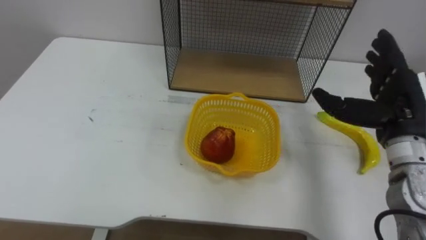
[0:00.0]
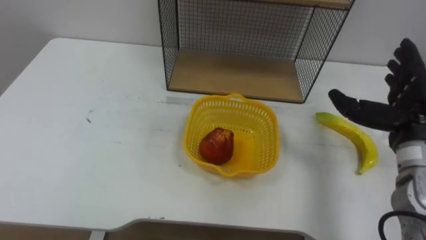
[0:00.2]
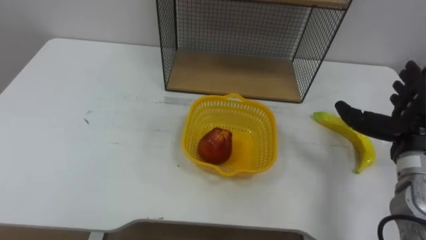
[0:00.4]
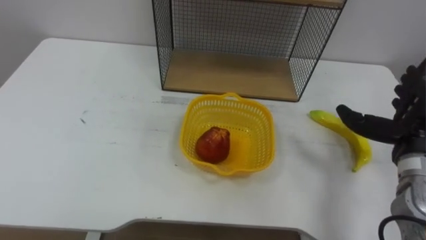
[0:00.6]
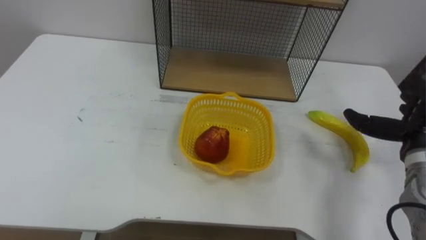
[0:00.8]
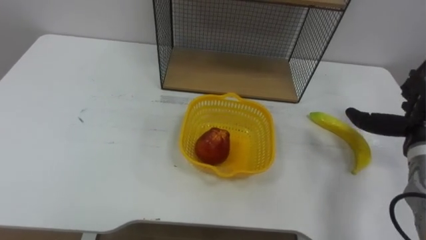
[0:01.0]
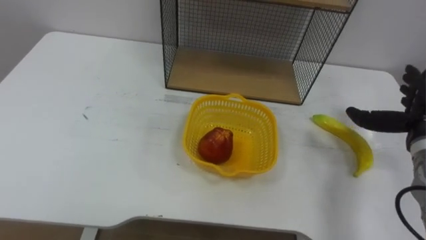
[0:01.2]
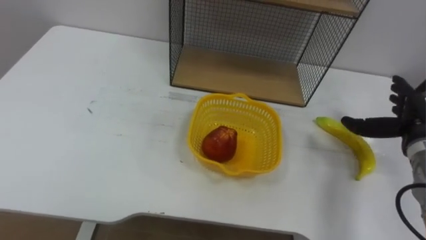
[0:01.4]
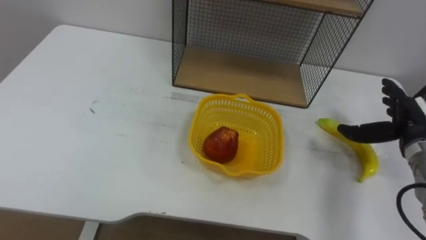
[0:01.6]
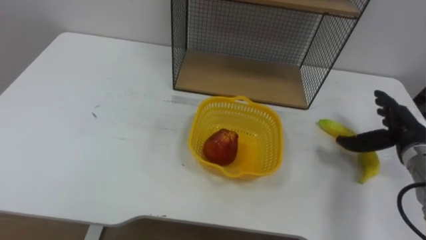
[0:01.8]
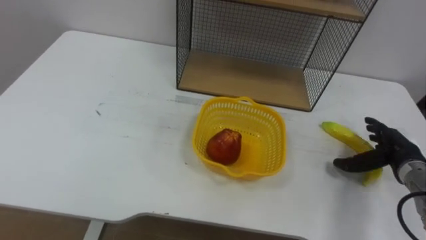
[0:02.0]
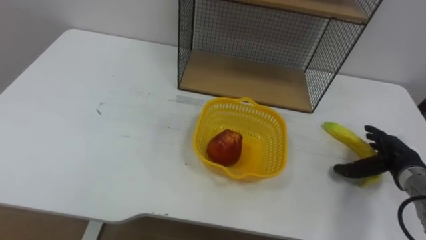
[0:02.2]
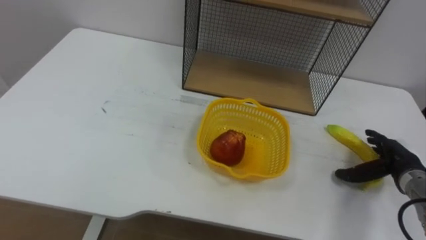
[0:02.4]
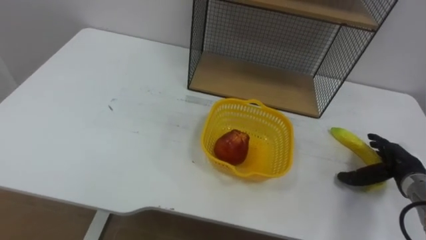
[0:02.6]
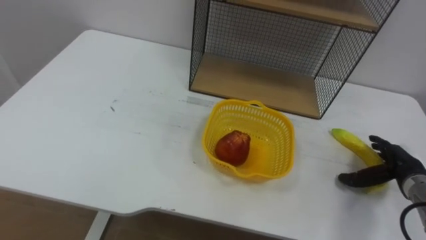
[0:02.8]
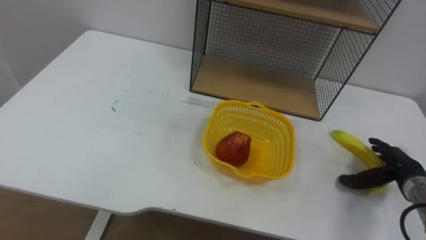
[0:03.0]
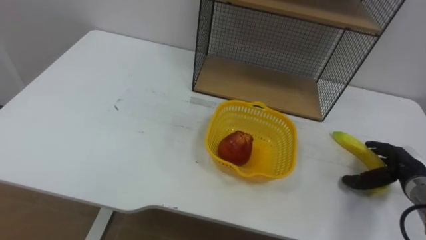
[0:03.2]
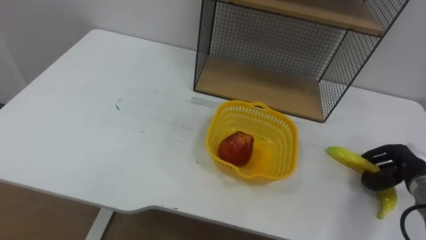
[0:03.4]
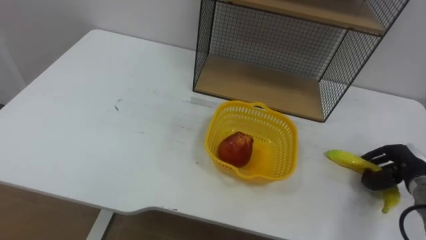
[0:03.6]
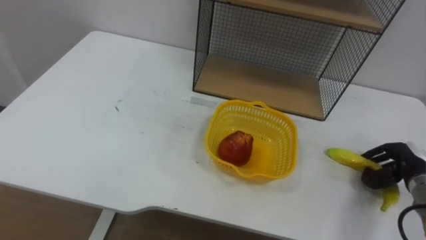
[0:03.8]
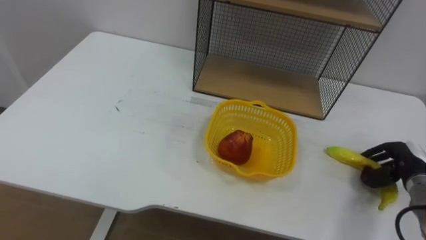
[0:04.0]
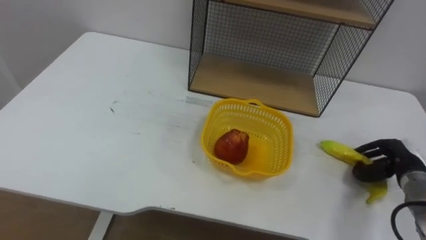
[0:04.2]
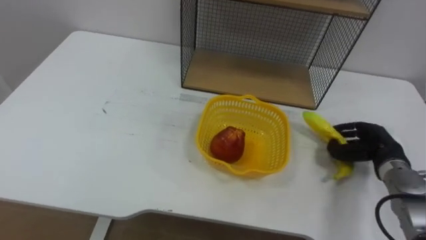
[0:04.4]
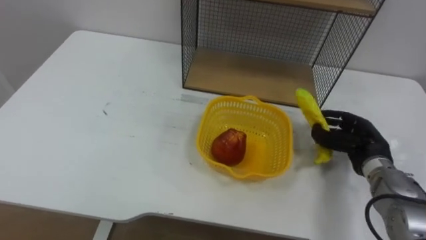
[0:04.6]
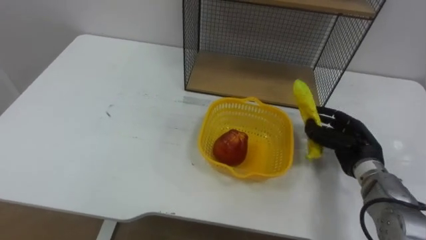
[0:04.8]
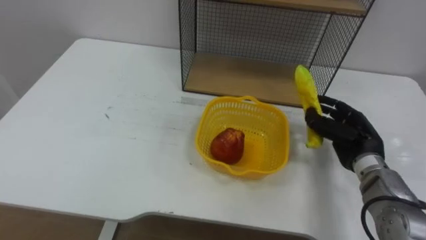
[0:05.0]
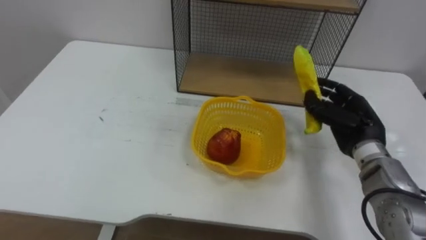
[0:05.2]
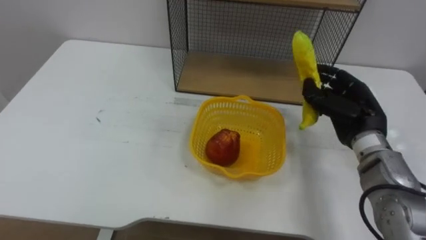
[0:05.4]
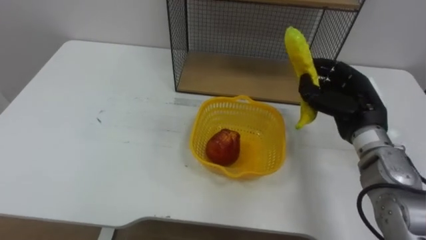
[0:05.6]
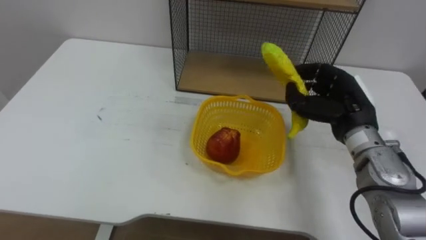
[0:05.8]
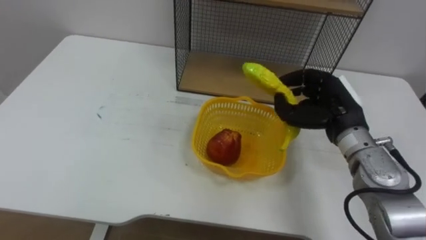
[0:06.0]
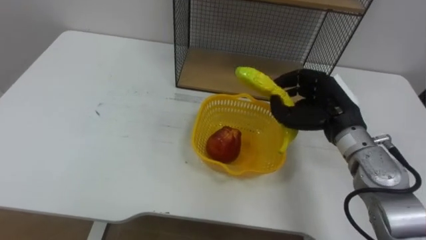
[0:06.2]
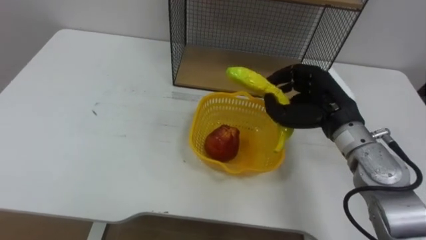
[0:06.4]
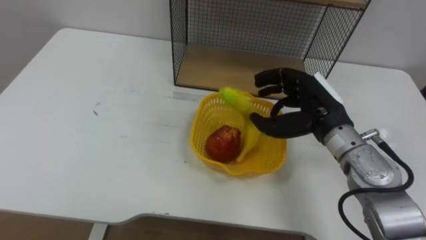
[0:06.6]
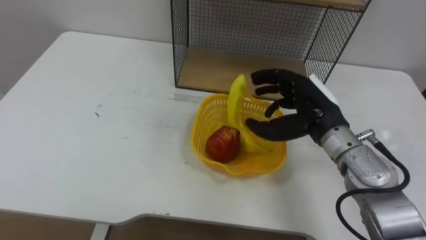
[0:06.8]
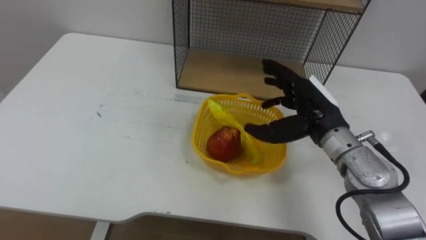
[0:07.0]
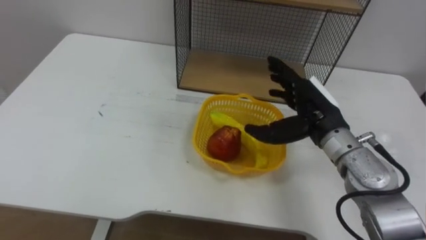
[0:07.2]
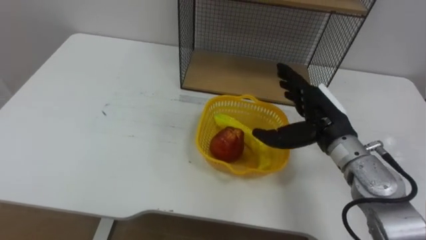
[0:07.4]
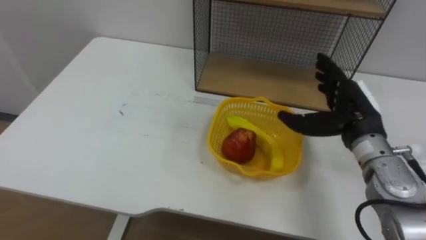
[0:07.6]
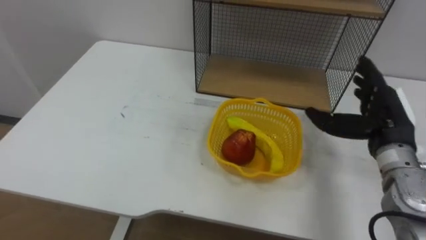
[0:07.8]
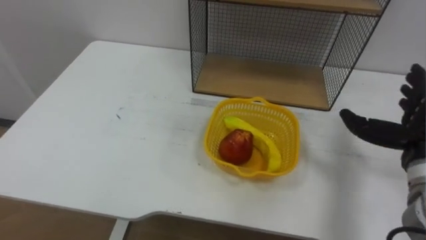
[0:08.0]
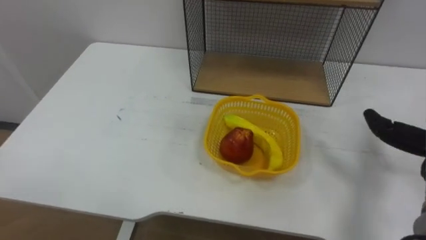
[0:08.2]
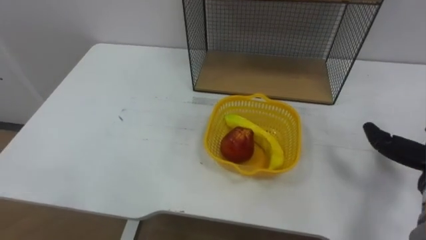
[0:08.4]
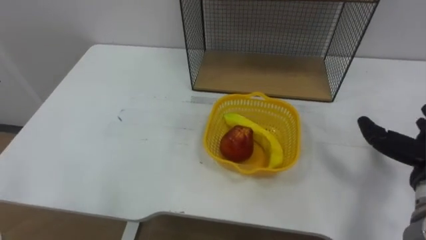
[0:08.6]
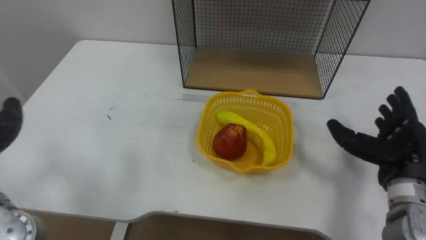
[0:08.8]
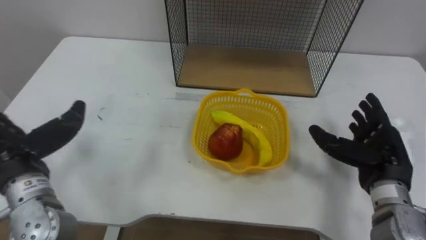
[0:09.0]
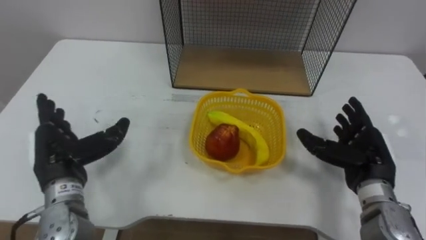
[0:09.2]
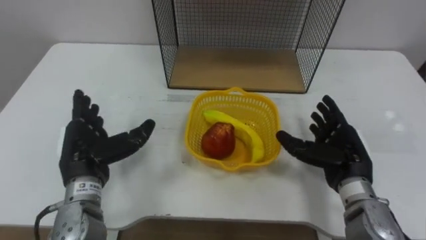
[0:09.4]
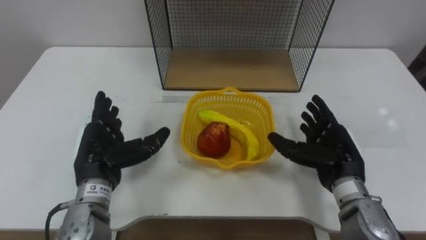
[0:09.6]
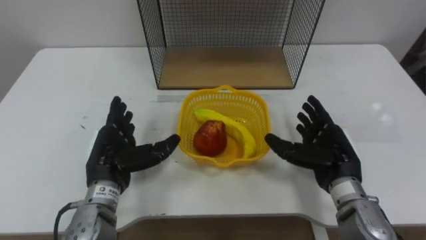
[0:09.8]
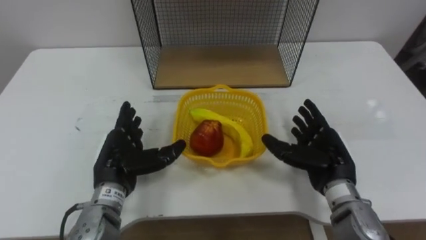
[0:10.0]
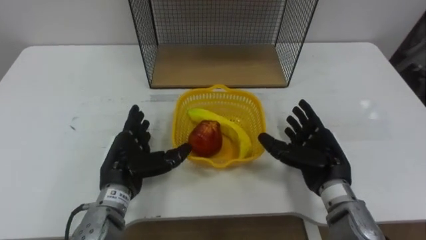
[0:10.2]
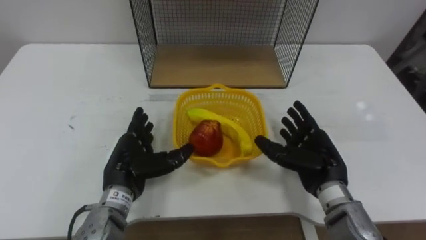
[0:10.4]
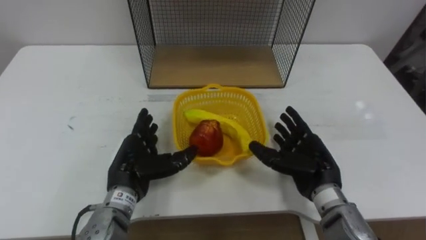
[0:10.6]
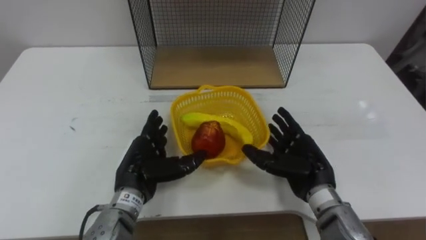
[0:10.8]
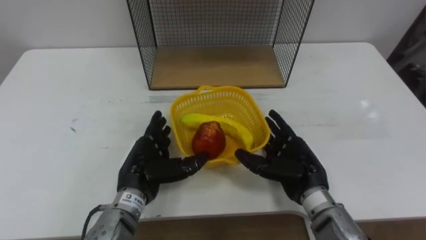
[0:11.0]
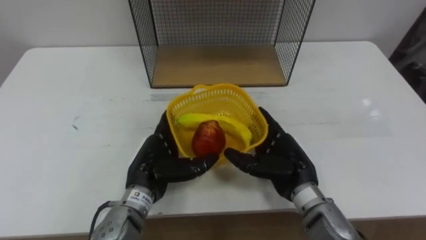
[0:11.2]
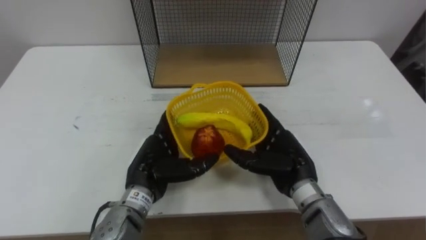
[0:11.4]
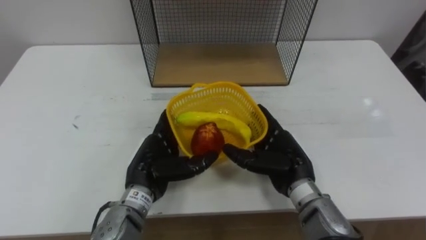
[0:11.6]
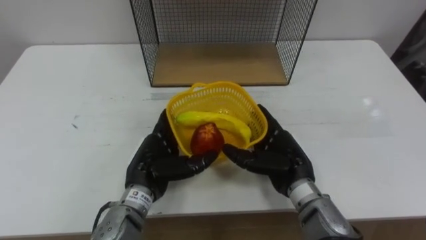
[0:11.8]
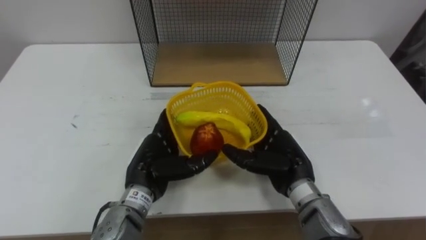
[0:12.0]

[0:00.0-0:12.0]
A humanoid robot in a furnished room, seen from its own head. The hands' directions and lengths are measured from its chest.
Task of the whole recording: Put the fruit on the table into the basket, then place the basket on the shelf.
0:00.0 to 0:01.6: The right hand moves downward and to the right, approximately 10 cm.
0:01.6 to 0:03.0: The right hand shifts approximately 10 cm downward.
0:03.0 to 0:04.4: The right hand shifts by about 5 cm, and closes up.
0:04.4 to 0:06.0: The right hand goes about 15 cm to the left and upward.
0:06.0 to 0:07.6: The right hand opens its fingers.
0:09.0 to 0:10.4: The right hand moves to the left, approximately 10 cm. The left hand moves to the right and downward, approximately 15 cm.
0:10.4 to 0:12.0: The right hand shifts roughly 5 cm to the left.

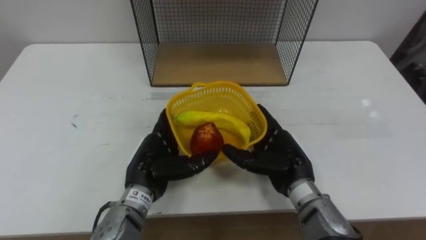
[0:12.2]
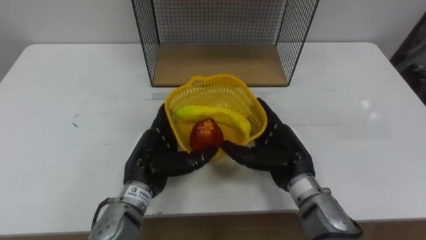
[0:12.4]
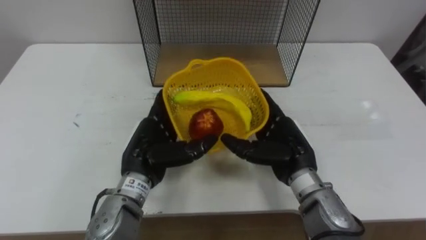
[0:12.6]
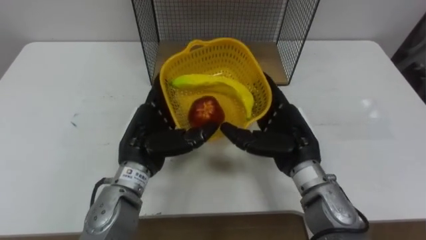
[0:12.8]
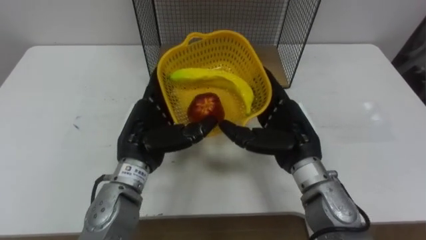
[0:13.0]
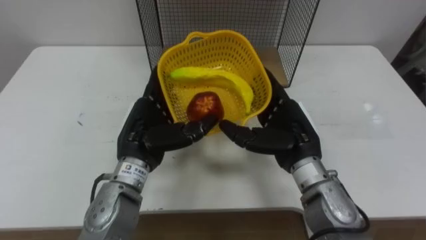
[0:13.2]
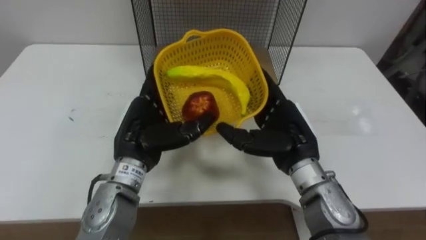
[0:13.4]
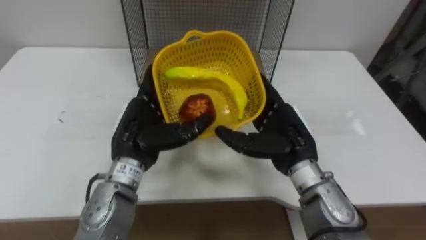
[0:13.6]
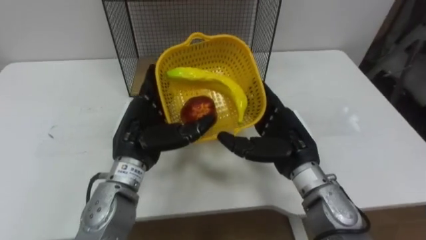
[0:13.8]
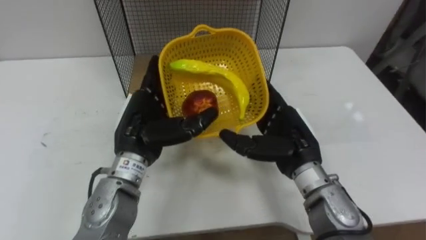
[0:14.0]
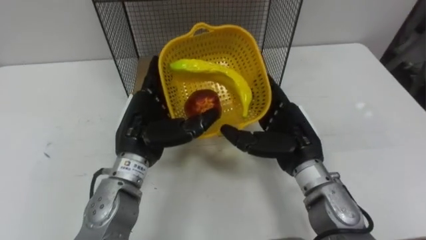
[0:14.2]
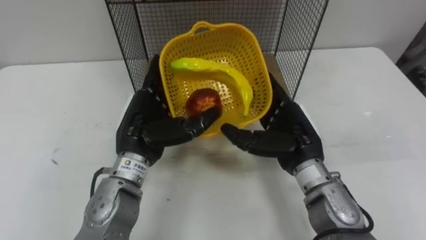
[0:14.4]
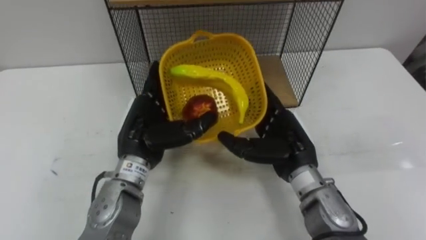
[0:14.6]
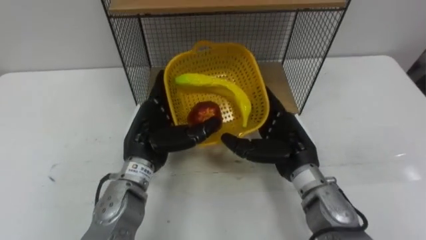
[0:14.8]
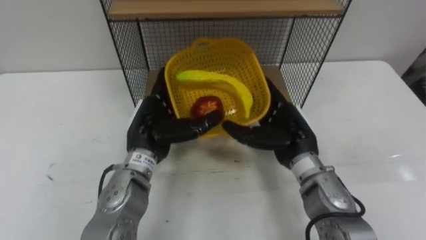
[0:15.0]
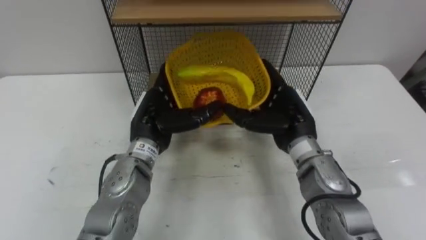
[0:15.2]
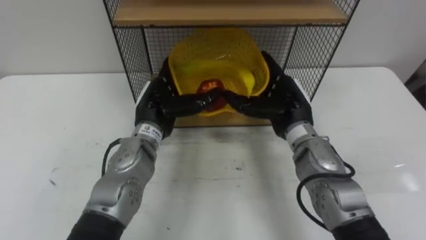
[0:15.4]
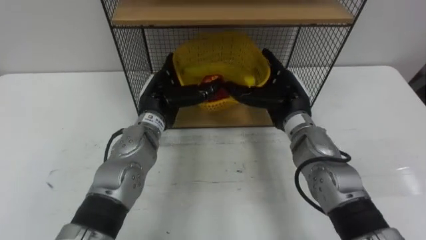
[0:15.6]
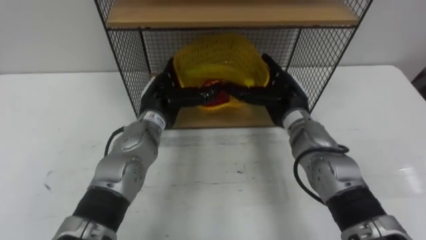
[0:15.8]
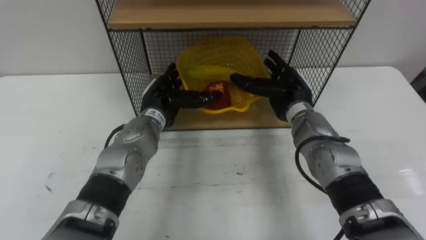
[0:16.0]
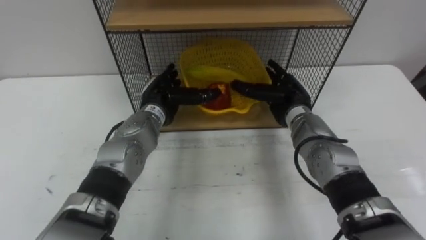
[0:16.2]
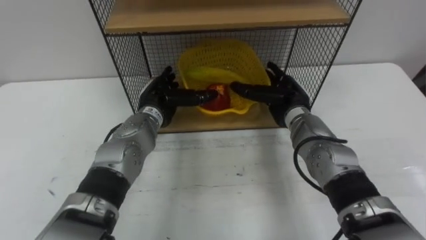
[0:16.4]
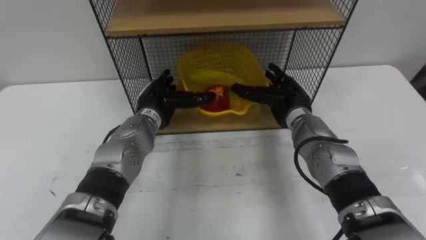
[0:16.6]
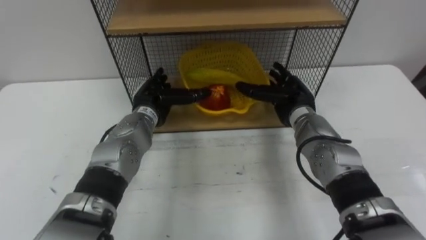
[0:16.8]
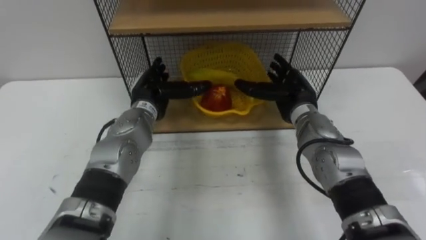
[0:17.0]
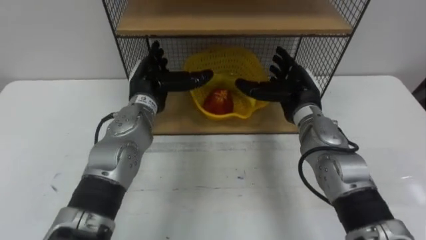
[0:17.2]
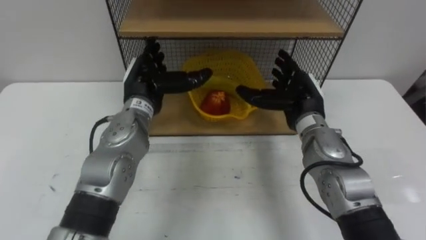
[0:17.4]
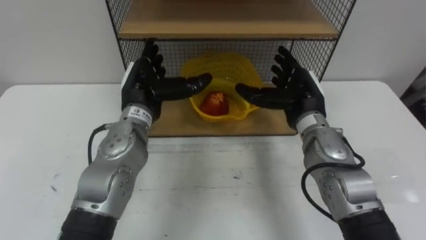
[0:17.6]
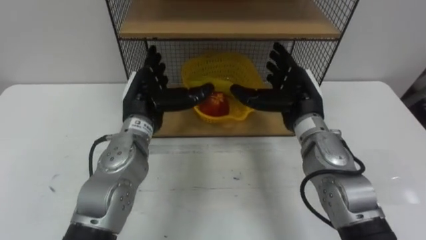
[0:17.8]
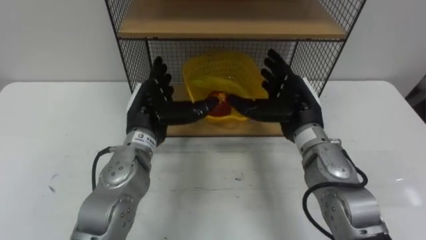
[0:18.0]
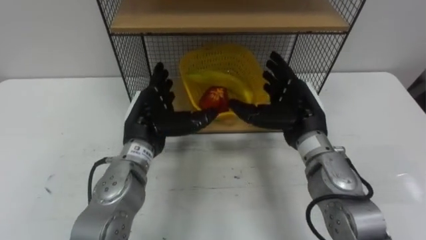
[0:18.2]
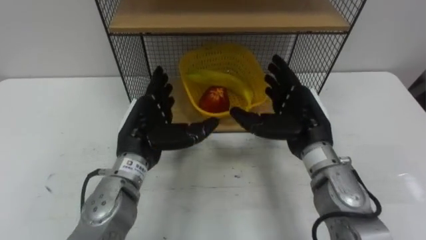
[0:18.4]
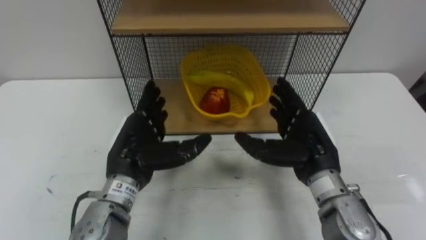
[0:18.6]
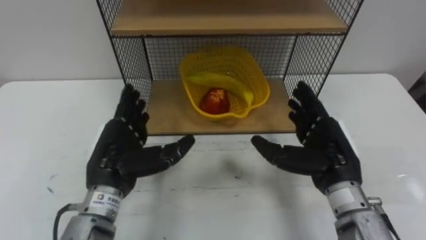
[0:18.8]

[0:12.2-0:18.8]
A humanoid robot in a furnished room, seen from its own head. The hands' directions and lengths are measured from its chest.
Task of the whole recording: Put the fruit on the table into the basket, then place the basket on the shelf.
0:12.2 to 0:13.8: Both hands move upward, some 5 cm.
0:13.8 to 0:15.4: Both hands travel together forward, roughly 5 cm.
0:15.4 to 0:17.2: The left hand shifts by roughly 5 cm.
0:17.2 to 0:18.8: Both hands travel together backward, roughly 15 cm.
